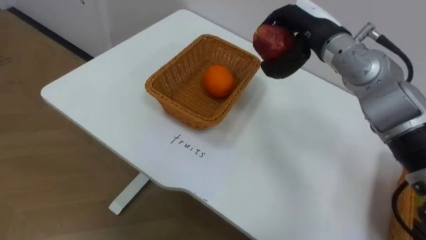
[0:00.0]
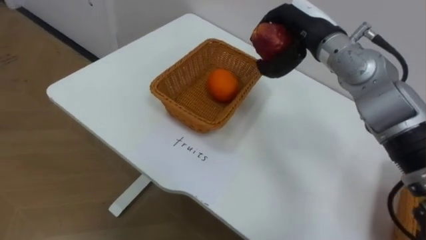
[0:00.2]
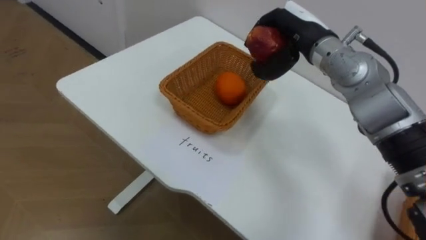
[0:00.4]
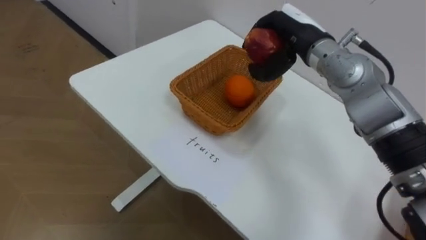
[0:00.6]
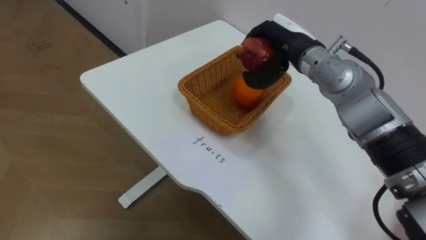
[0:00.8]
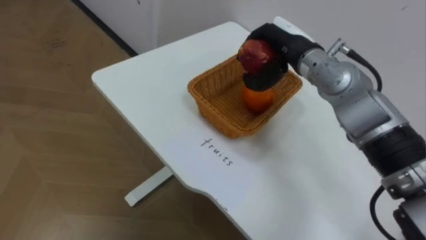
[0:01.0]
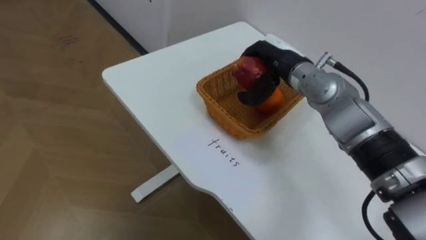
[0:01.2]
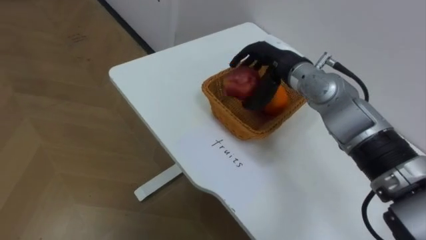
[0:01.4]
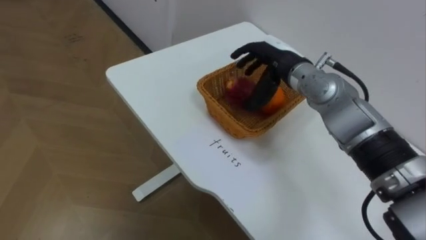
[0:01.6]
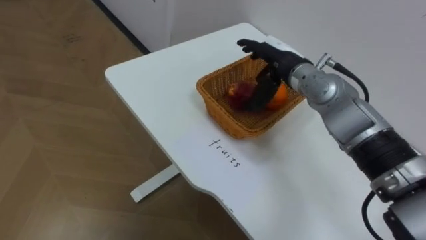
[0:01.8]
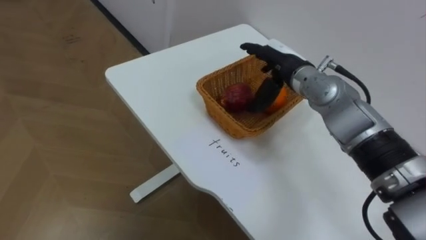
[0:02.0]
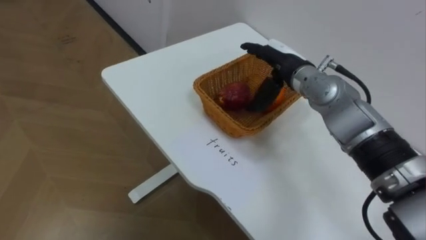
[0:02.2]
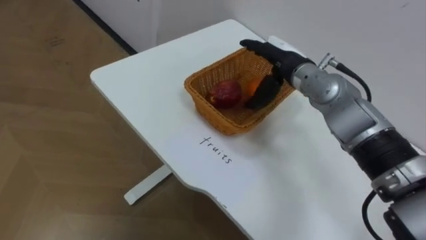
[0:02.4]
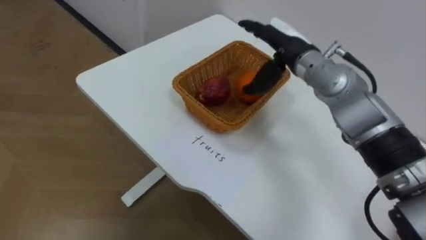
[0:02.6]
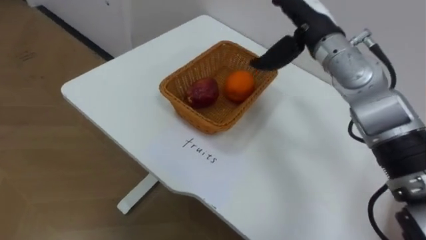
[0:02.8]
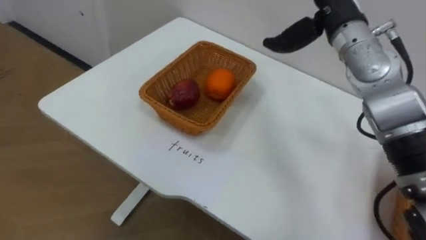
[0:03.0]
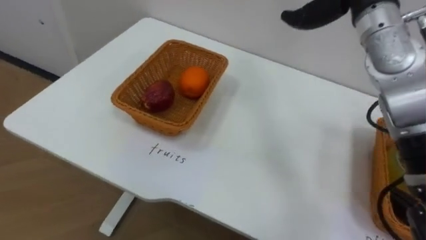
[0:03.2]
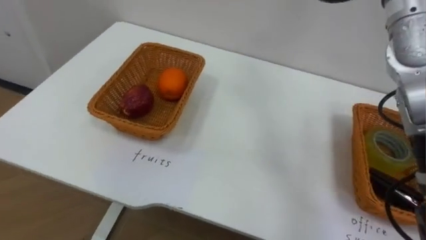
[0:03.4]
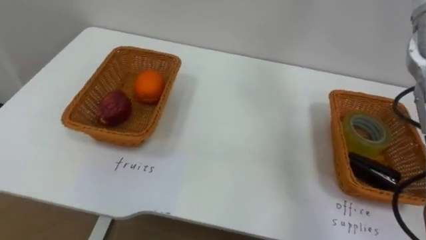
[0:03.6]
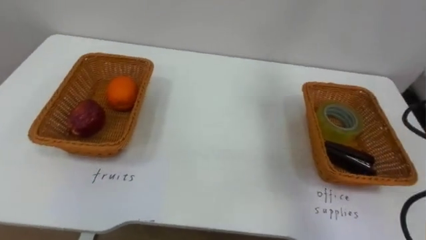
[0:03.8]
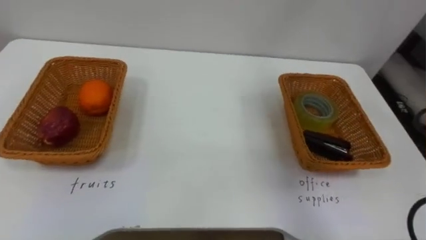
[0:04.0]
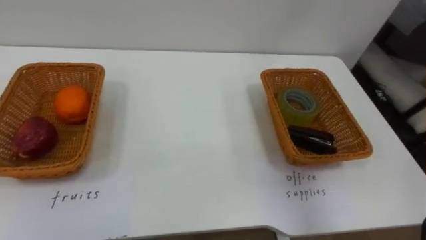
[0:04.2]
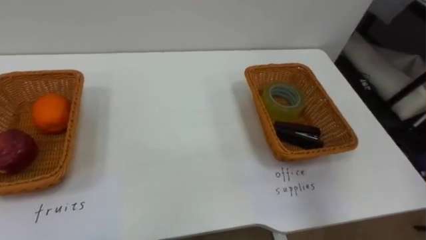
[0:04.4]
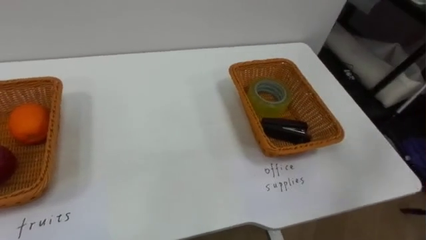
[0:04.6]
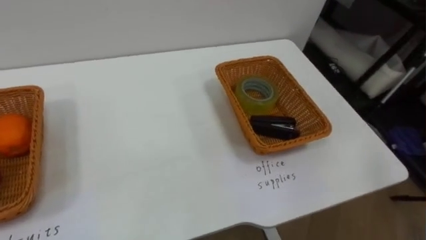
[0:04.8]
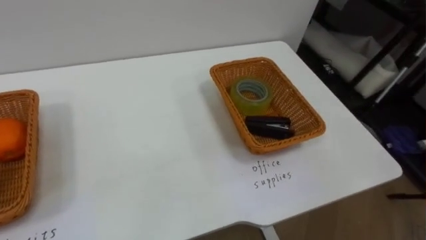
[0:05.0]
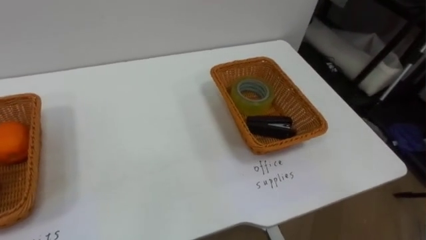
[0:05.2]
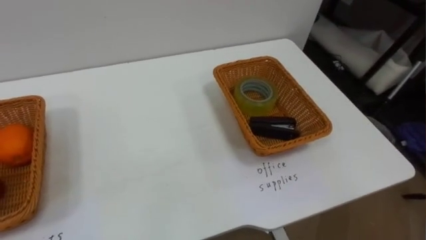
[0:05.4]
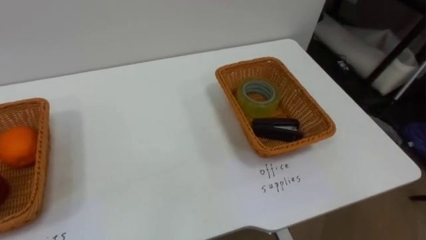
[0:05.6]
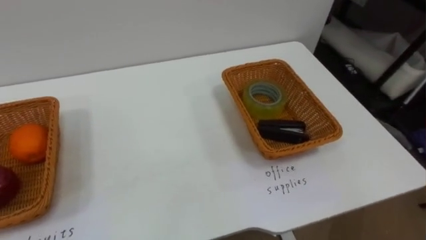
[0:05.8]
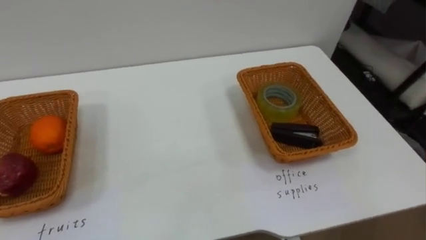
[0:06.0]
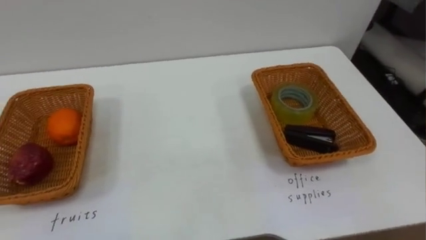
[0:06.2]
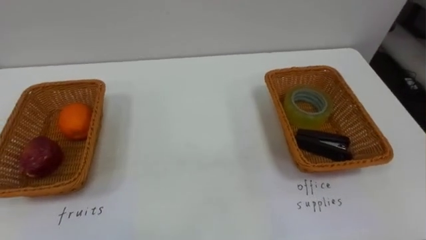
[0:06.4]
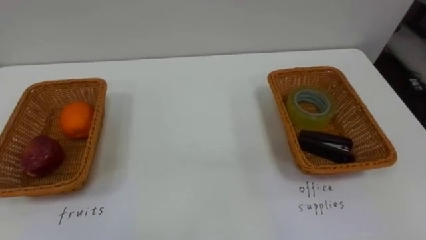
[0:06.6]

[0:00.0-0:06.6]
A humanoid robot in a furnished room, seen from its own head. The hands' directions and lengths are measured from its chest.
Task of the whole recording: Separate the items on the table and place them into the two baskets.
0:00.0 to 0:01.6: The right hand goes some 5 cm downward.

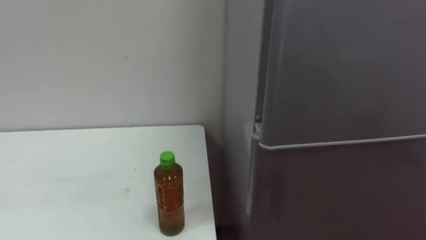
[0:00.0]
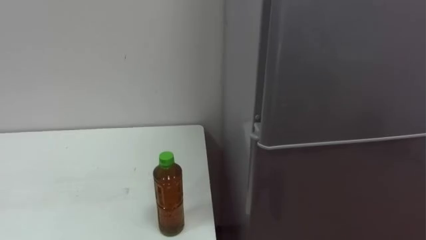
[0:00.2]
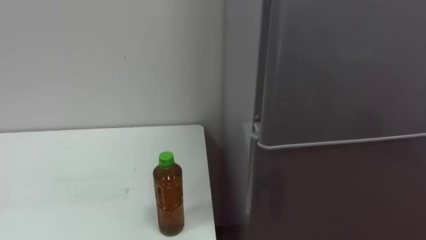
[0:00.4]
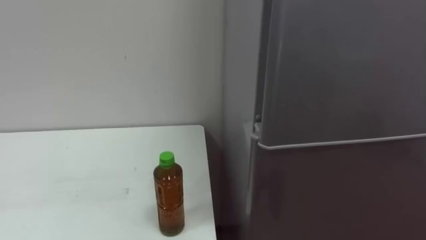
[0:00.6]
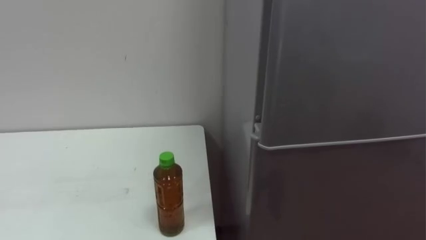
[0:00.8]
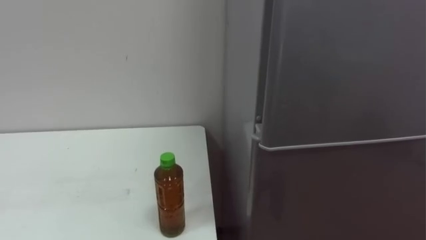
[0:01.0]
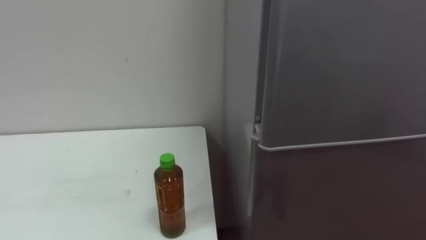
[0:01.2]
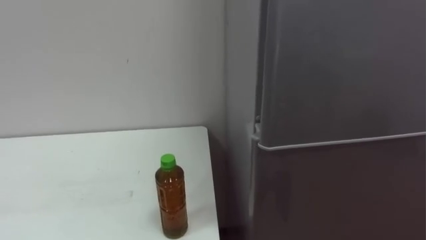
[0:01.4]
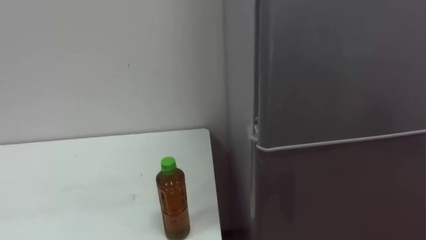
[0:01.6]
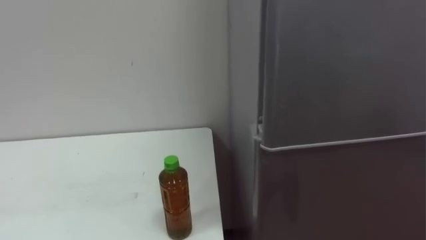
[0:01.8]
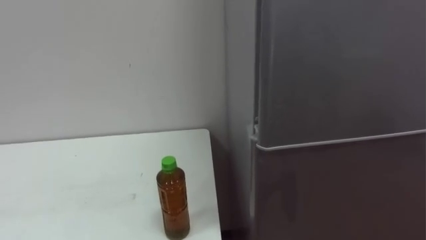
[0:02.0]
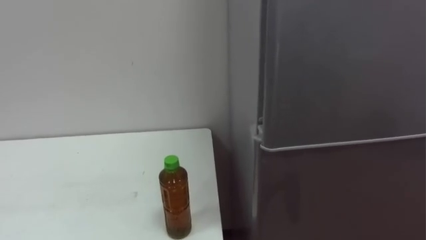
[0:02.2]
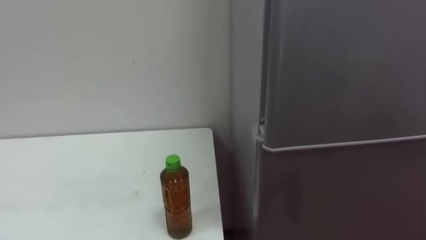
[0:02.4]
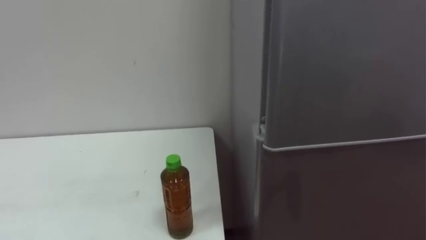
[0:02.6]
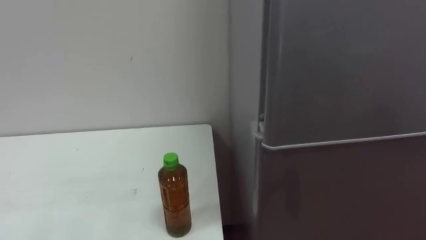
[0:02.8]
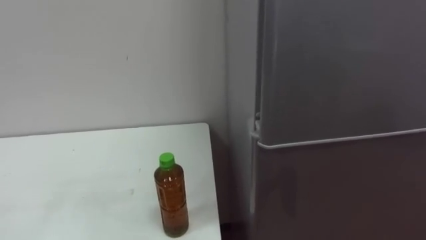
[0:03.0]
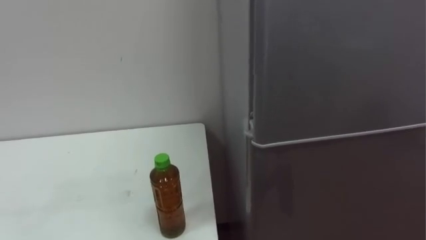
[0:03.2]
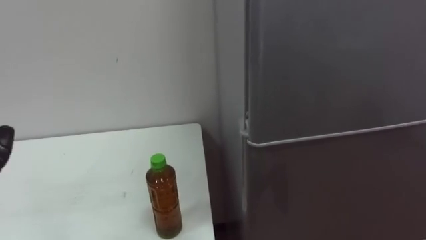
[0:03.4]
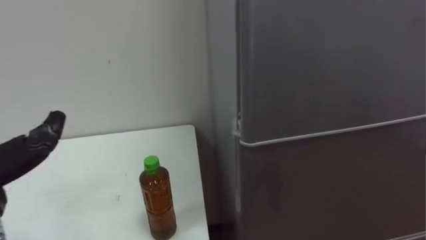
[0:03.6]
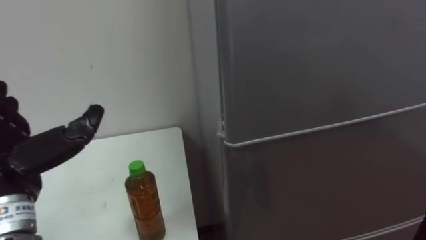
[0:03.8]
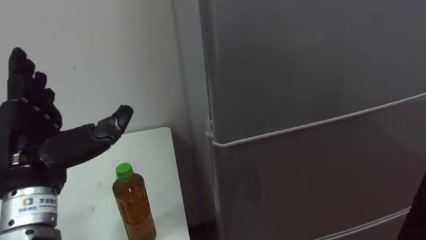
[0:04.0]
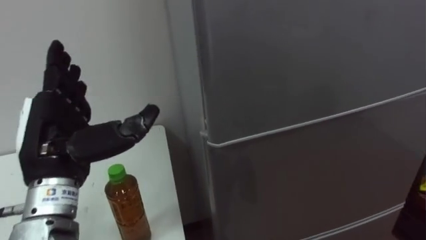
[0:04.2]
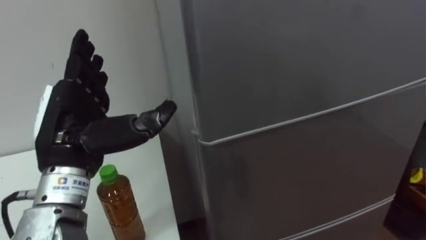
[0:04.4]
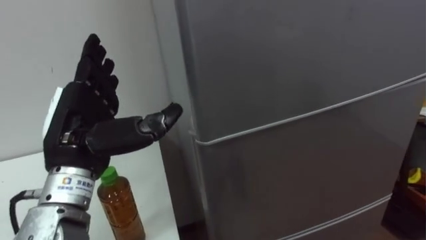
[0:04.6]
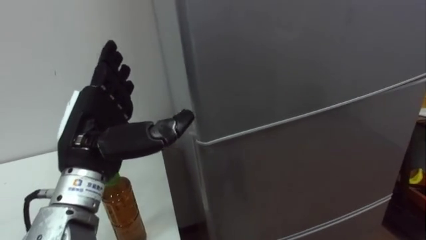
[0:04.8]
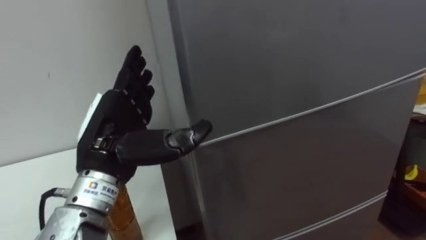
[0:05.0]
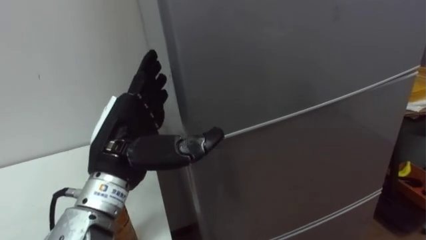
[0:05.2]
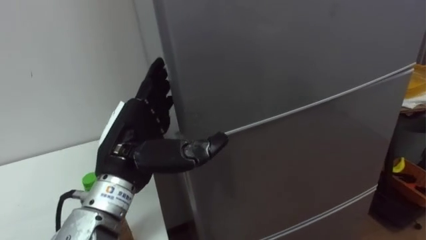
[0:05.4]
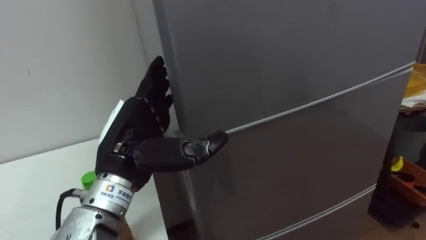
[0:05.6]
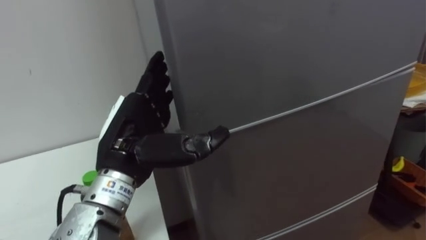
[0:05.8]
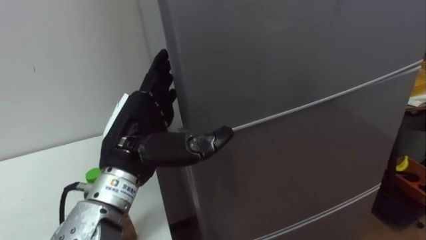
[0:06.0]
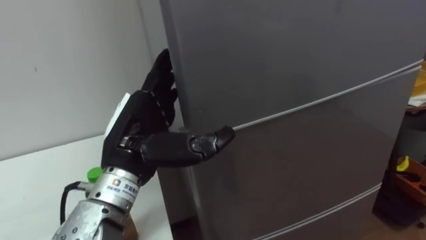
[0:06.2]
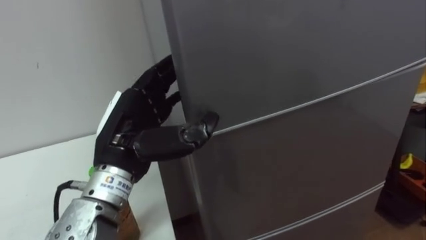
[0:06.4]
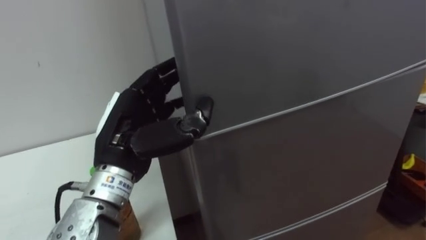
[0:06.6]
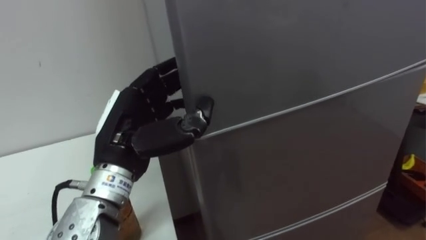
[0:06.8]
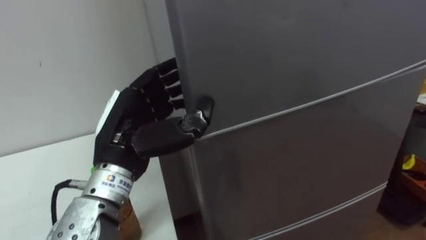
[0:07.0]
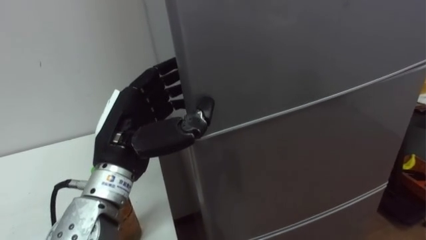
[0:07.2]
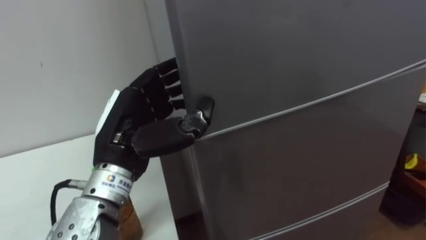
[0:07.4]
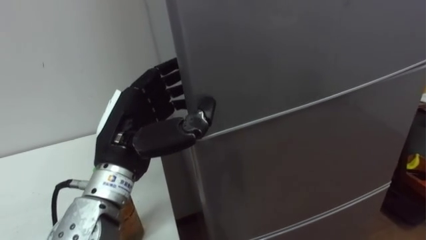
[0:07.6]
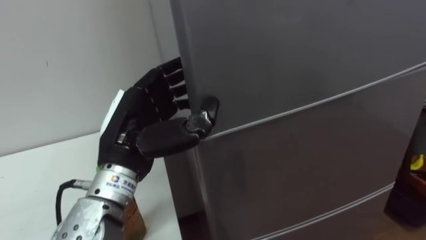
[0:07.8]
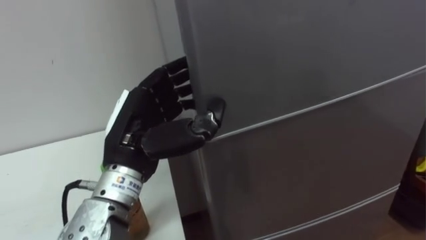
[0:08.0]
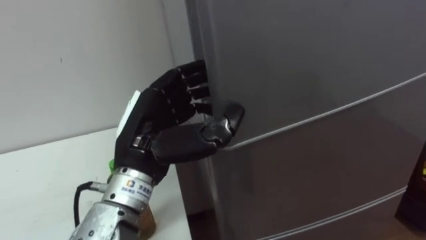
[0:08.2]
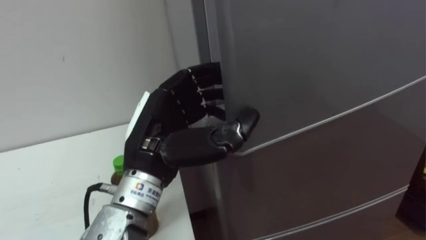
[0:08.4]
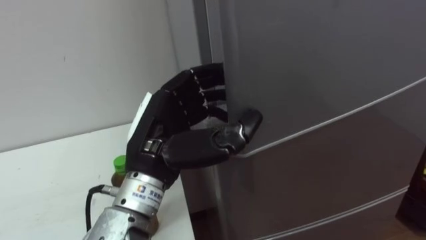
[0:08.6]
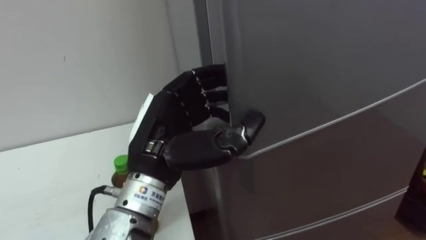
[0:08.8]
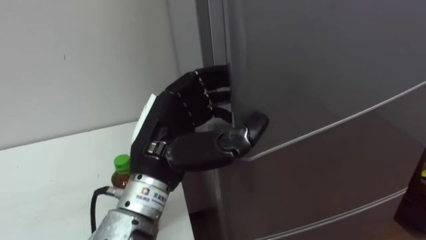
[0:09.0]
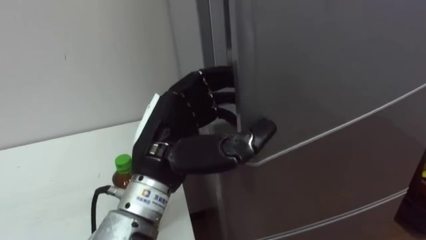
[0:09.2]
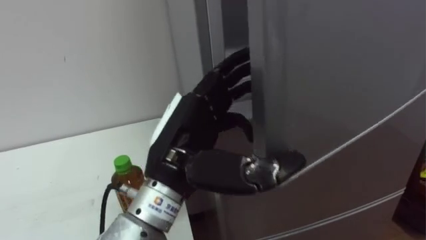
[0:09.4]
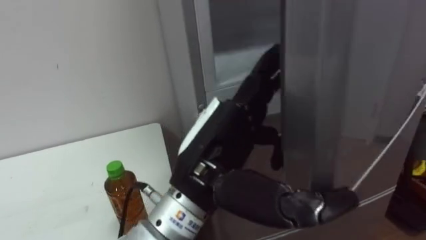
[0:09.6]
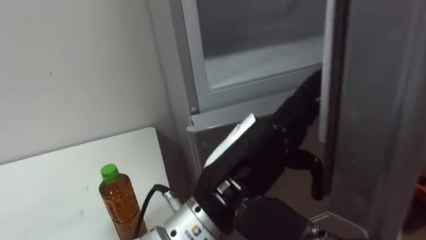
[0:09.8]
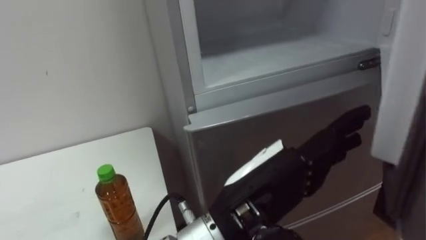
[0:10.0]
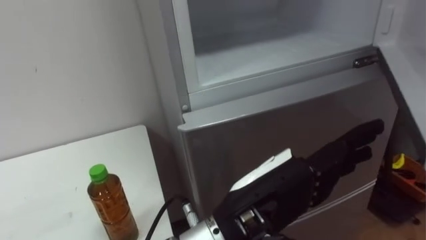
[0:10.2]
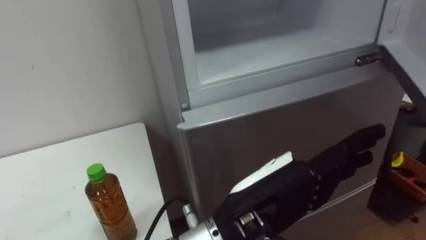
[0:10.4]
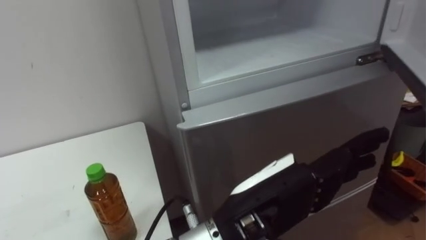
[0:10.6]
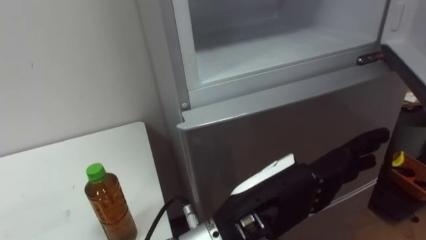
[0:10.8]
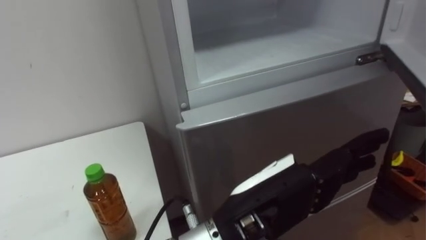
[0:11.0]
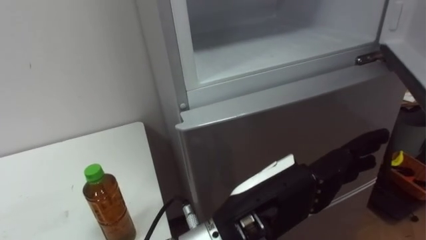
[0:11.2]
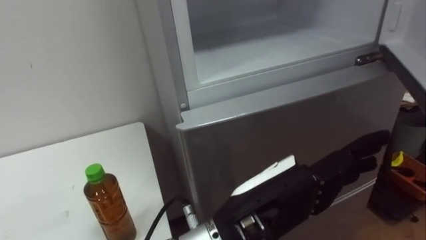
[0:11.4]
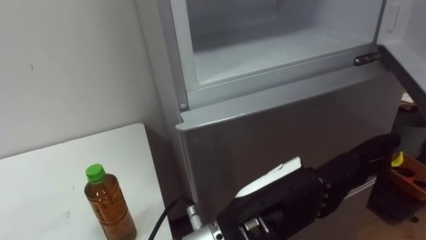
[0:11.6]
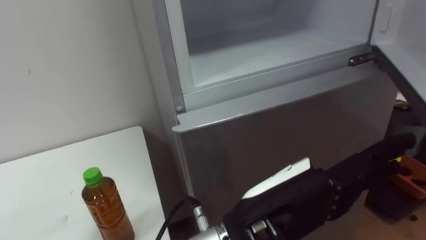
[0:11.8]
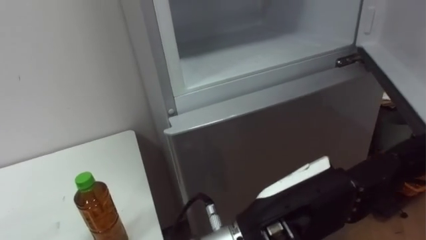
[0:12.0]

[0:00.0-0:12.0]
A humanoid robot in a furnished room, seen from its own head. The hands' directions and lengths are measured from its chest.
Task of the whole recording: Open the upper refrigerator door, put the drink from the table into the refrigerator, and then close the refrigerator door.
0:04.4 to 0:06.0: The left hand is displaced to the right by approximately 10 cm.
0:06.0 to 0:07.6: The left hand closes up.
0:07.6 to 0:09.0: The left hand changes place by about 5 cm.
0:09.0 to 0:10.4: The left hand shifts some 15 cm to the right and backward, and opens up.
